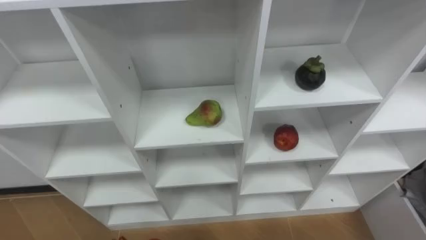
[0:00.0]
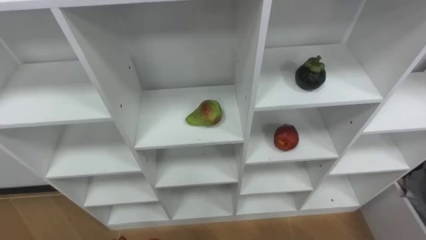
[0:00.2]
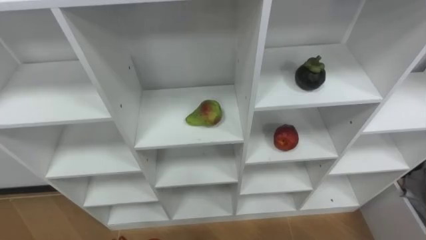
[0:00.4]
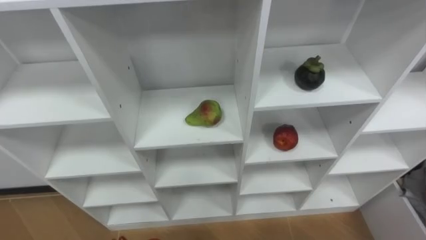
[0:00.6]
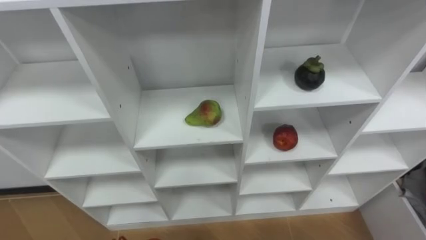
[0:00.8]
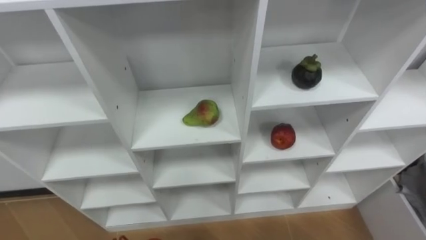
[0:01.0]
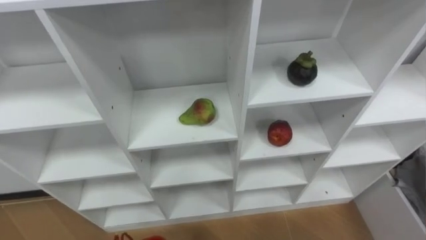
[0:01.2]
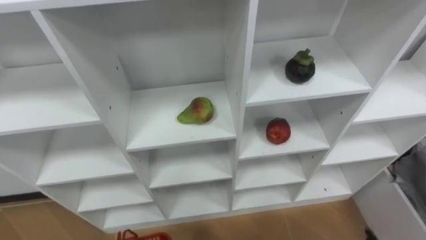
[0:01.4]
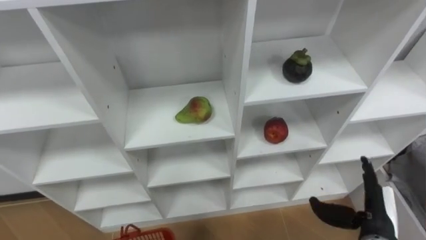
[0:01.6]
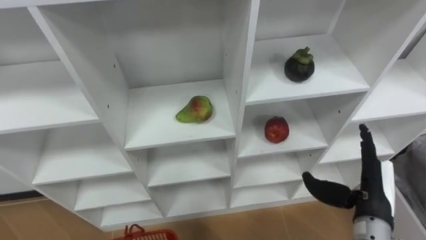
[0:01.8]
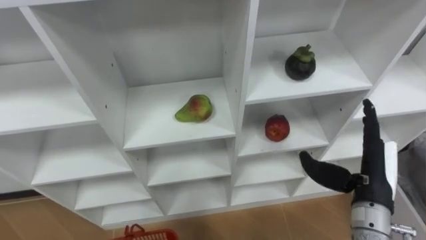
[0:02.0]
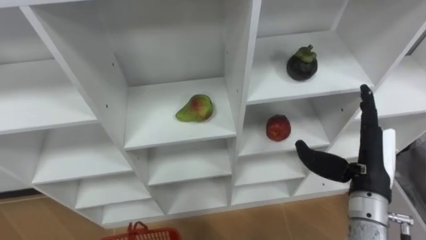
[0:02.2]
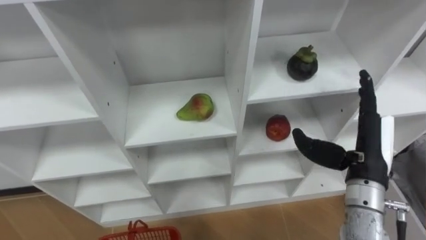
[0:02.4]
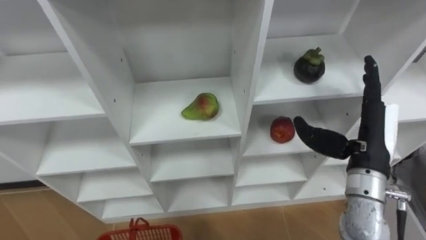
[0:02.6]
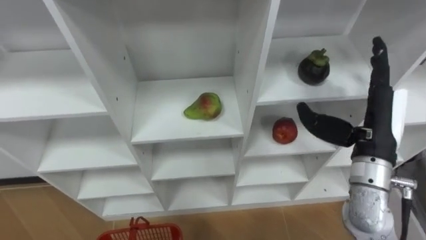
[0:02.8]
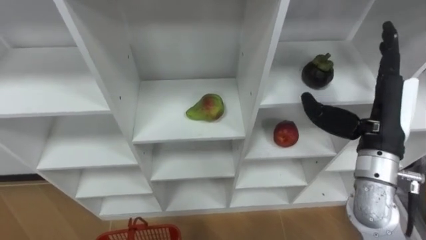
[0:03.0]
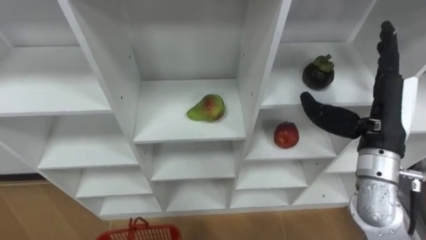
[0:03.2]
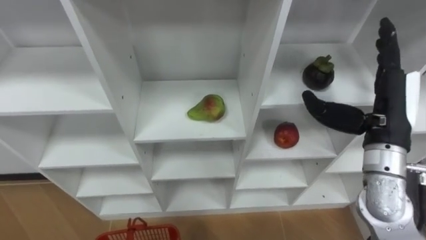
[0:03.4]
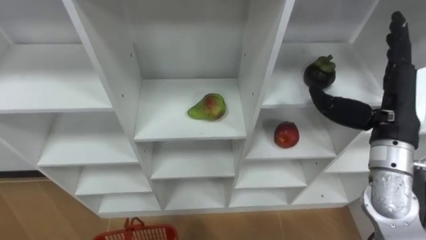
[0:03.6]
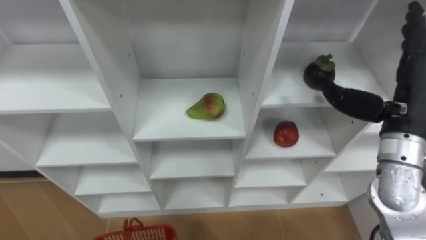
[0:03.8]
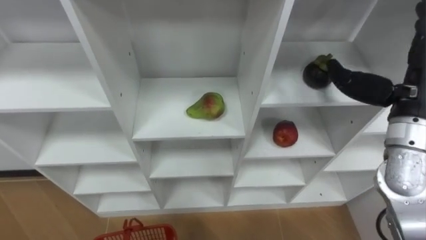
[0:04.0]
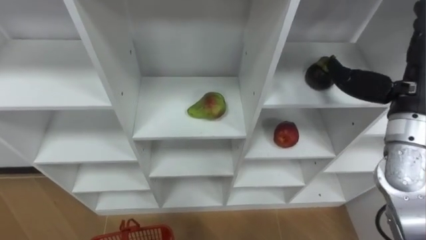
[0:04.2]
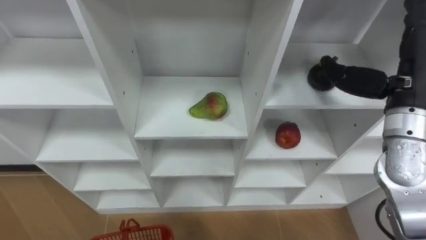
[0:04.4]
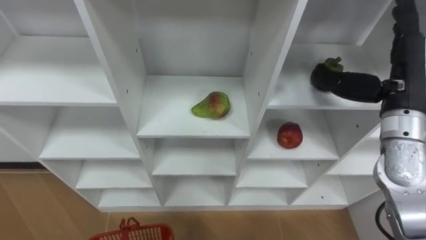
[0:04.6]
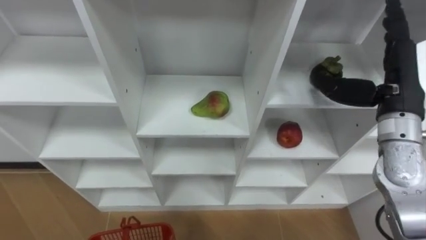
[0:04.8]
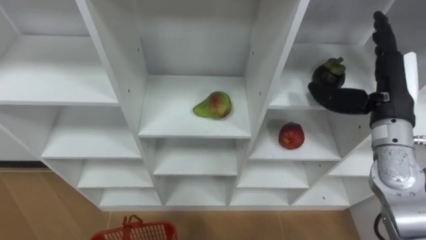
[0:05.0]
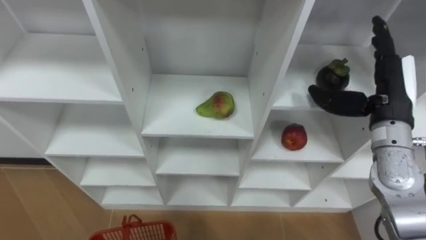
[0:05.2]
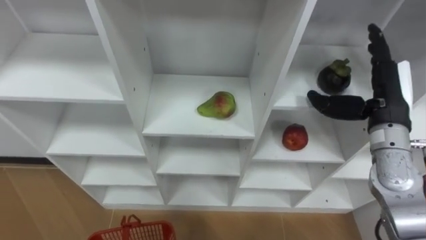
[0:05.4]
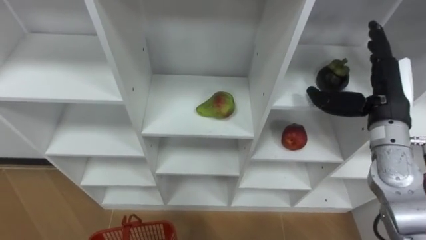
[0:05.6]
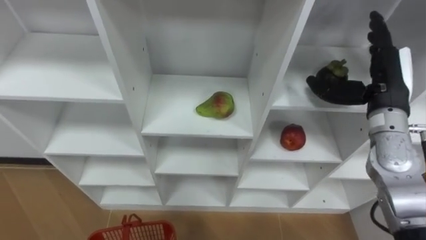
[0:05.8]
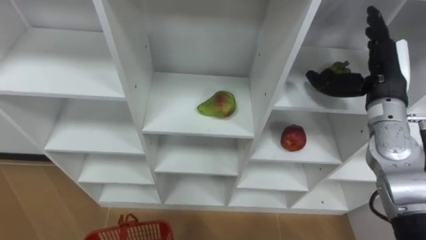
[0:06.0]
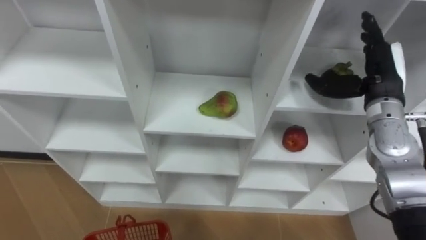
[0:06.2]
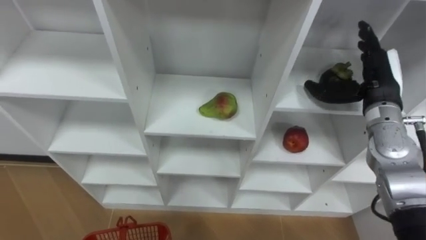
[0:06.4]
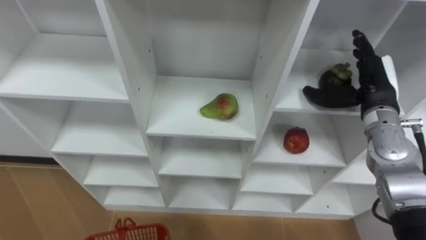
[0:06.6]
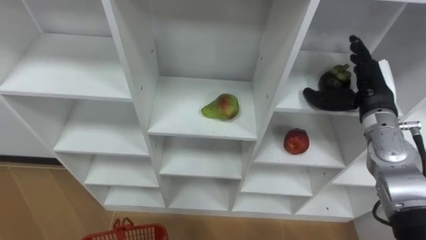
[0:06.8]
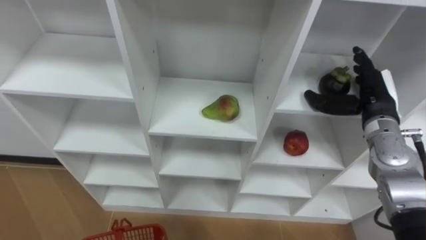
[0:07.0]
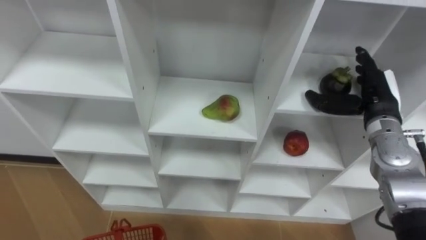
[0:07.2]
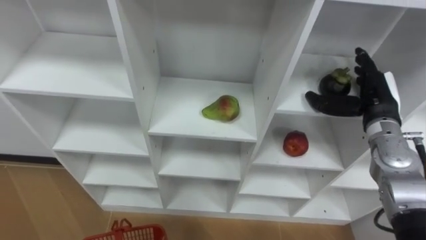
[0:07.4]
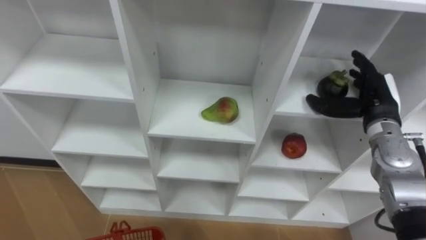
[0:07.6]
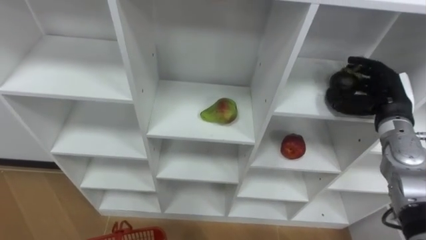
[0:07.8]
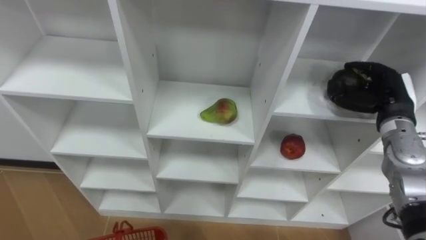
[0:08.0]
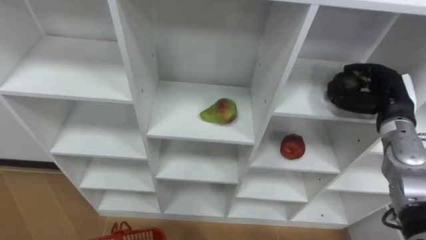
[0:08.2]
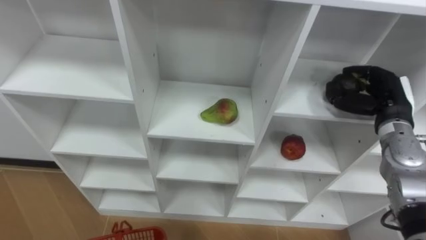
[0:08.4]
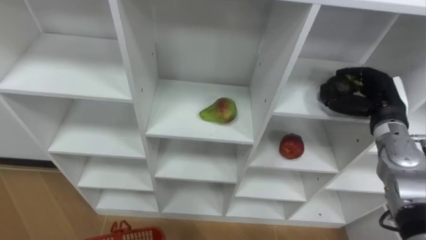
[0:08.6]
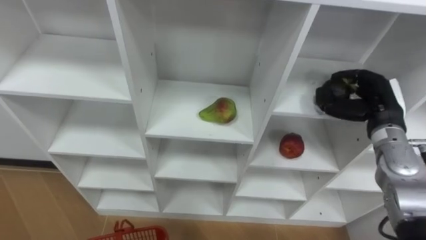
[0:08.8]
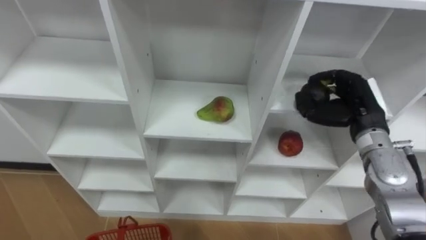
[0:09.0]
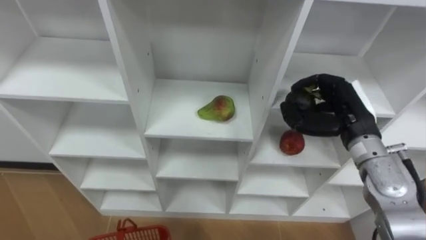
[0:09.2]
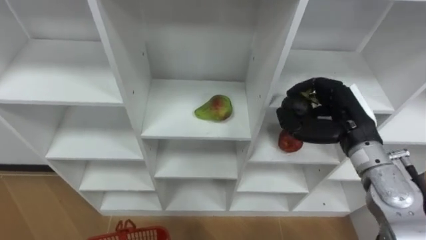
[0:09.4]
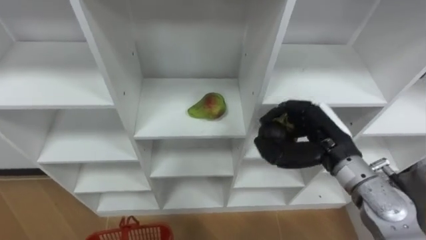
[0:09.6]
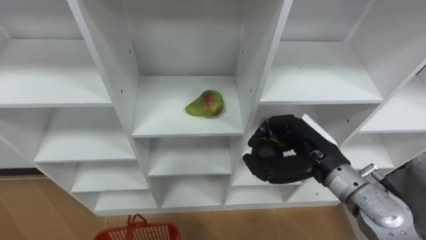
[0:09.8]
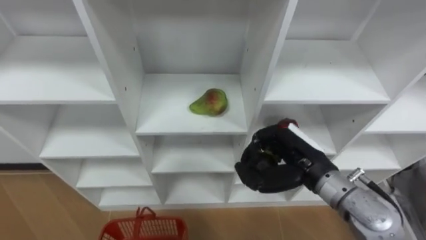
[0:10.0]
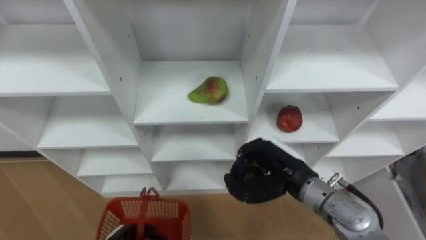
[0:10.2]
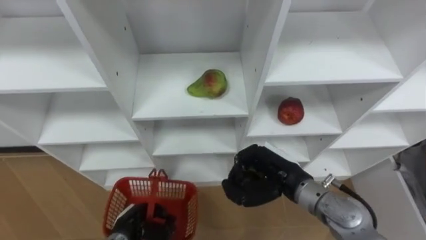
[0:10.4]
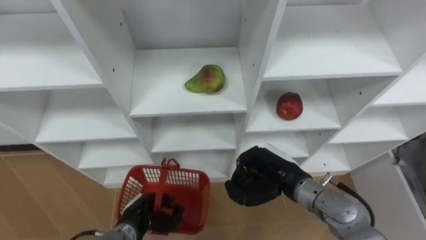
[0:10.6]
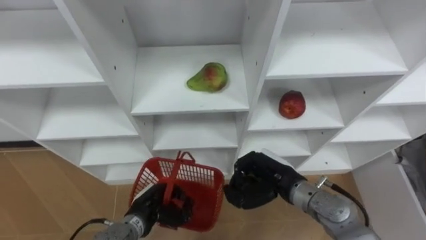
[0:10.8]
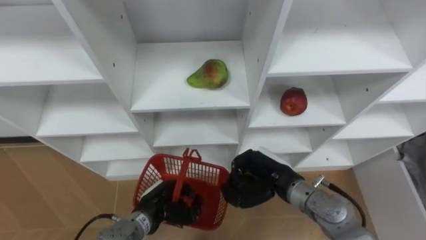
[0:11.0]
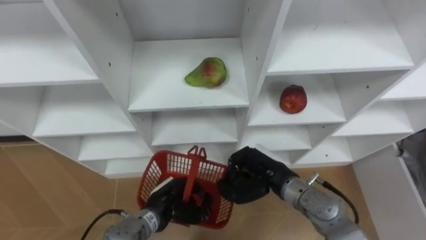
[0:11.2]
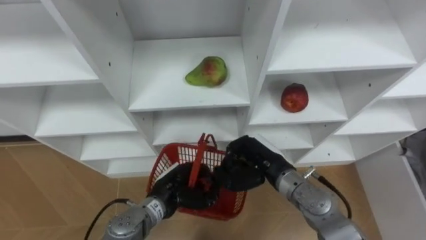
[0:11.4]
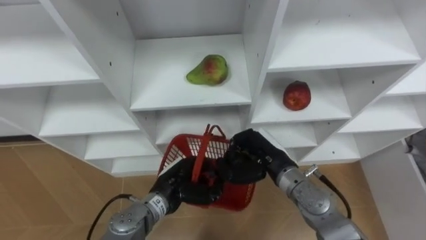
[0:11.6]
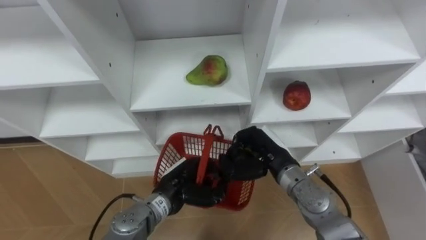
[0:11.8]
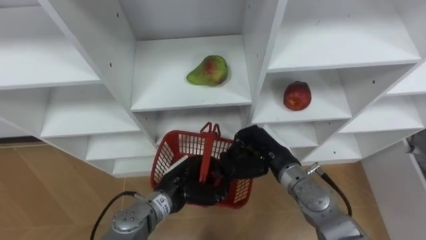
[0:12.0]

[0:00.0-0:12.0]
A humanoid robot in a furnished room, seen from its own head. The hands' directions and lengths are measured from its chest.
Task of the whole recording: Hold the basket and collect the fruits from 3 different cells of the closet into it.
0:01.6 to 0:03.0: The right hand goes some 20 cm upward and forward.
0:03.0 to 0:04.4: The right hand ends up some 5 cm from where it was.
0:04.4 to 0:06.0: The right hand heads downward, covering about 5 cm.
0:06.0 to 0:07.6: The right hand travels downward by roughly 10 cm.
0:07.6 to 0:09.0: The right hand closes.
0:09.0 to 0:10.4: The right hand travels to the left, backward and downward by roughly 20 cm.
0:10.4 to 0:12.0: The left hand moves to the right, upward and forward, some 15 cm.

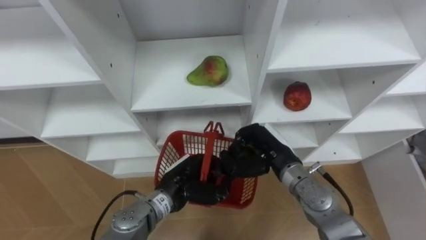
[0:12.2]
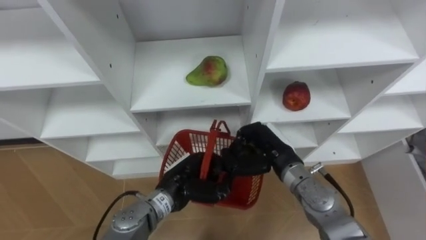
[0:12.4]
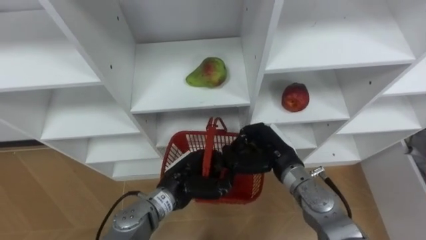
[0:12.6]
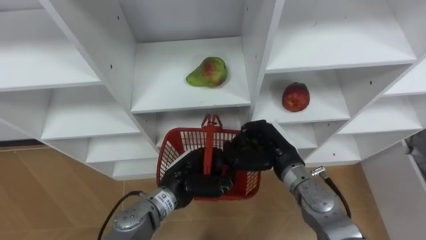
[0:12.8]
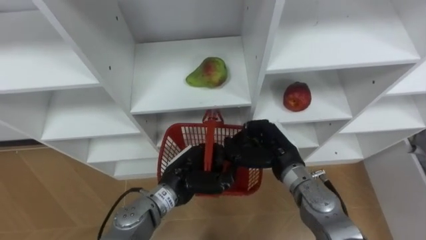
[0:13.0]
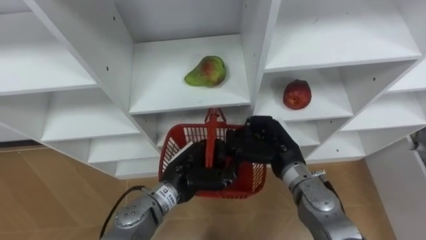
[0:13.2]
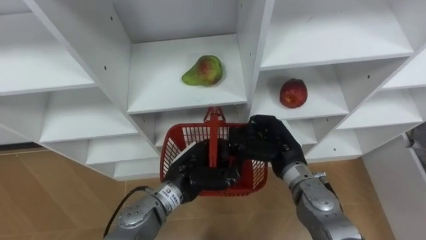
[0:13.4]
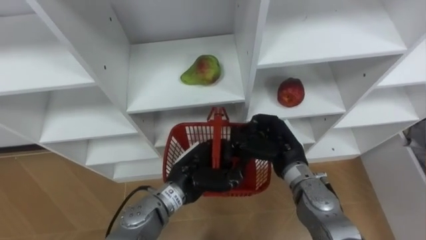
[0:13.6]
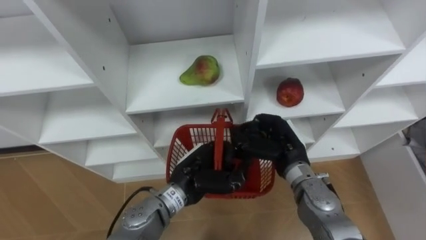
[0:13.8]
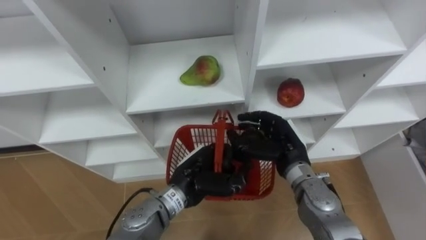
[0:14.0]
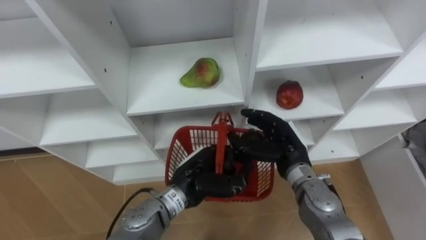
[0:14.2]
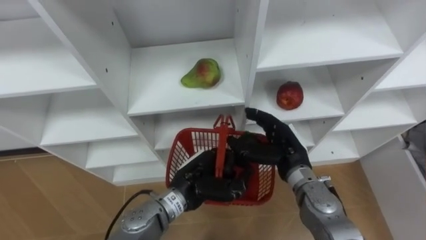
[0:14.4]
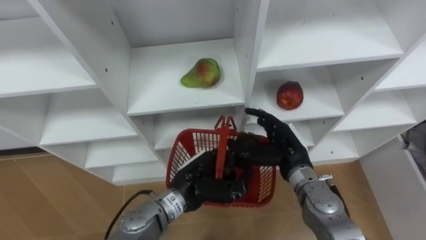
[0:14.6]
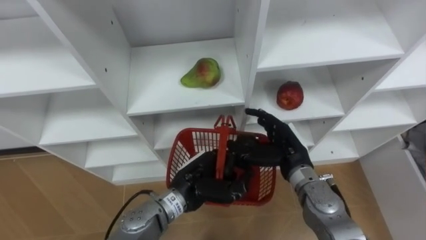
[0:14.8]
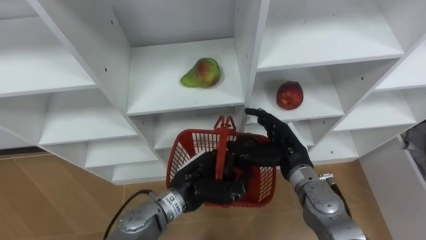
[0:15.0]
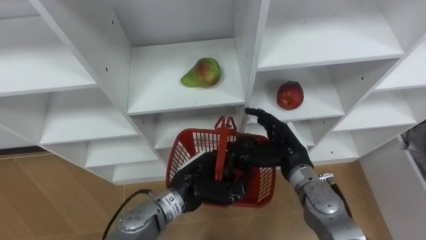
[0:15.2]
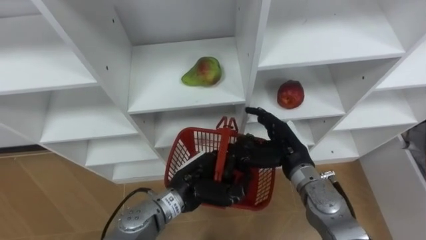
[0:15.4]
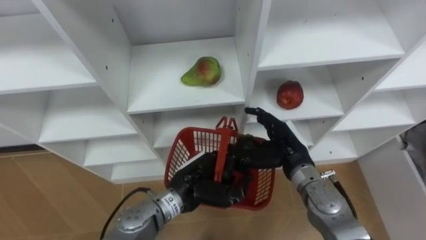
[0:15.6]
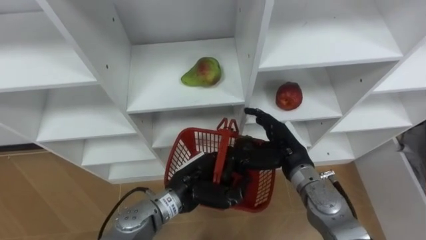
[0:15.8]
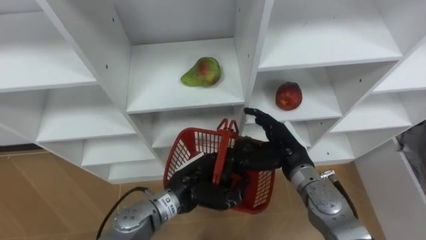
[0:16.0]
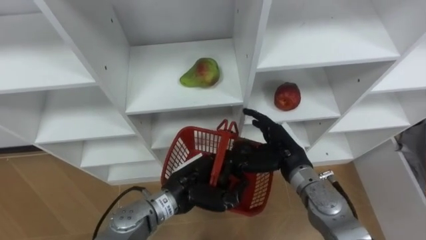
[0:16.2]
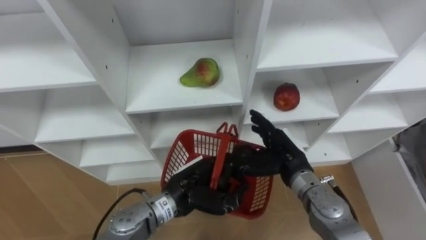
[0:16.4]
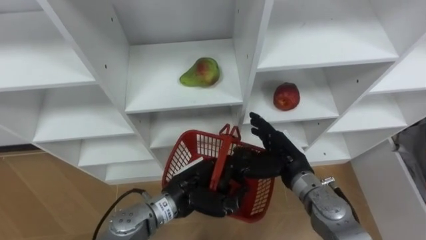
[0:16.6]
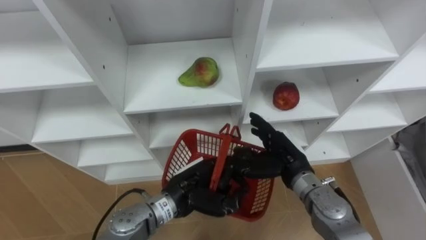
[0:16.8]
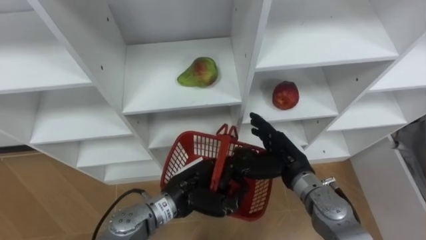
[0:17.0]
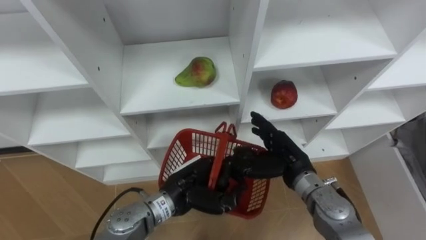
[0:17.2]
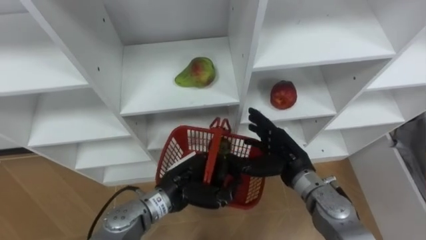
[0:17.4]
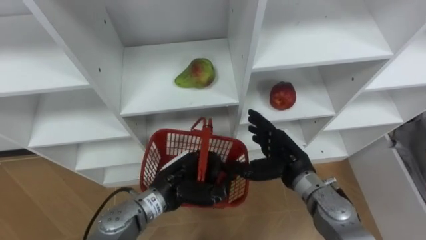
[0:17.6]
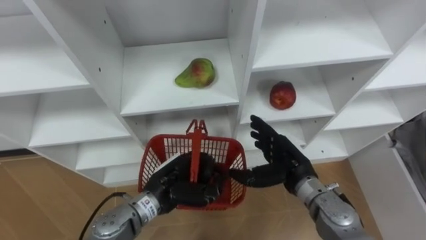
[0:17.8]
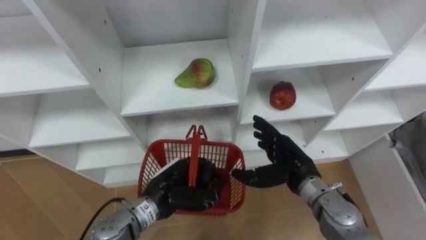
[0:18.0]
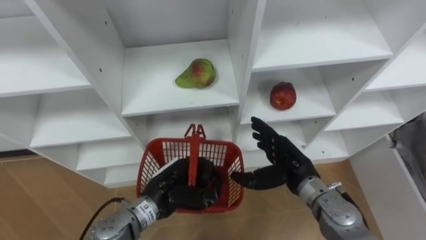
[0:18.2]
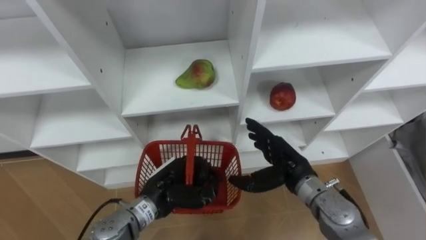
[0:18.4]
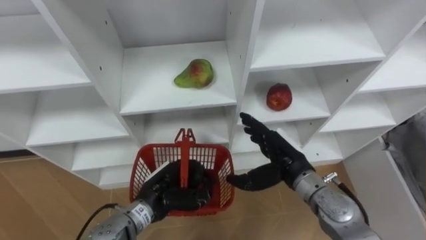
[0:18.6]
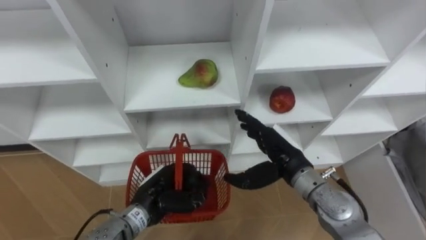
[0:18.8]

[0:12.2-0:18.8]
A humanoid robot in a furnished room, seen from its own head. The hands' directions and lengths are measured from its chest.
Task of the whole recording: Hold the basket and collect the fruits from 3 different cells of the closet into it.
0:13.8 to 0:15.4: The right hand opens up.
0:15.4 to 0:17.2: The hands stay close to where they were, moving slightly.
0:17.2 to 0:18.8: The left hand heads to the left, covering approximately 5 cm.
